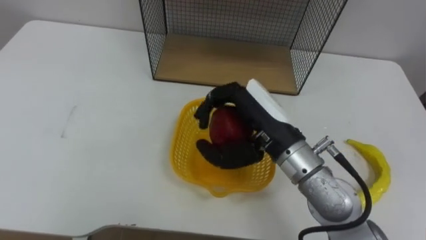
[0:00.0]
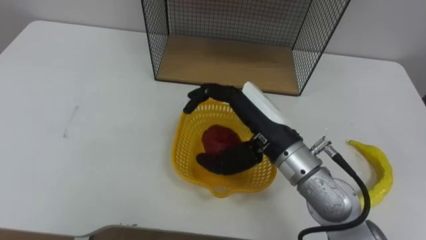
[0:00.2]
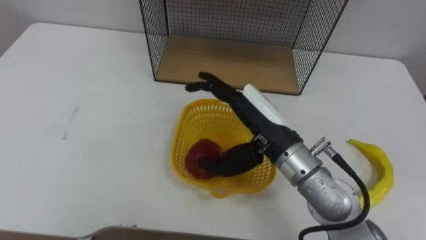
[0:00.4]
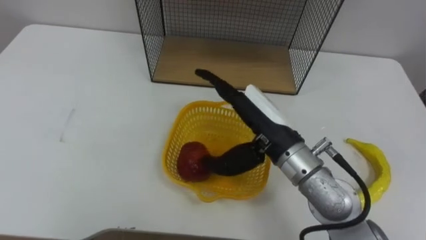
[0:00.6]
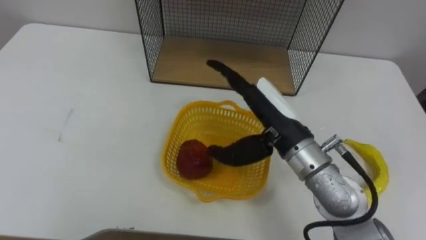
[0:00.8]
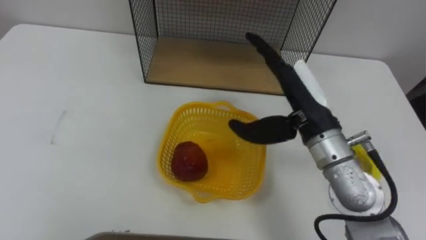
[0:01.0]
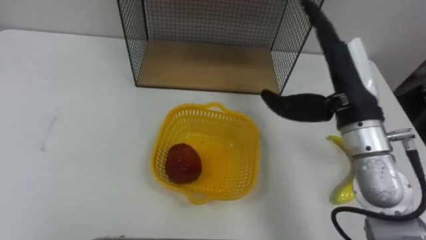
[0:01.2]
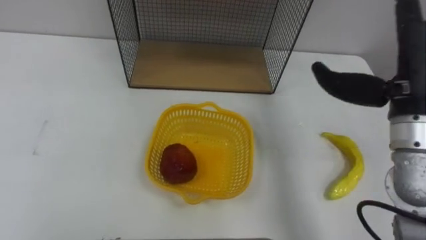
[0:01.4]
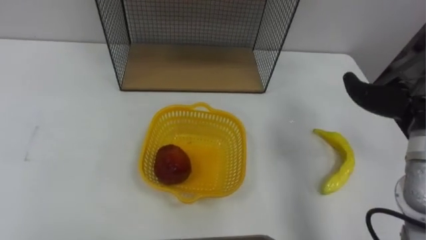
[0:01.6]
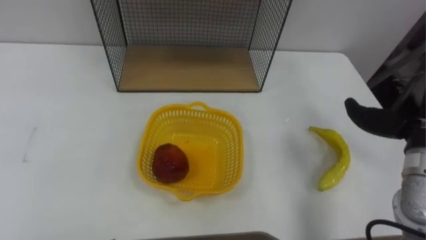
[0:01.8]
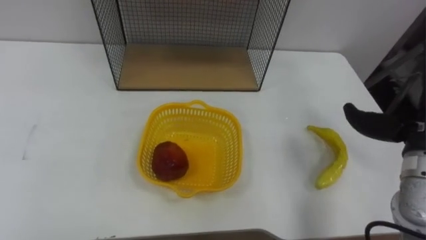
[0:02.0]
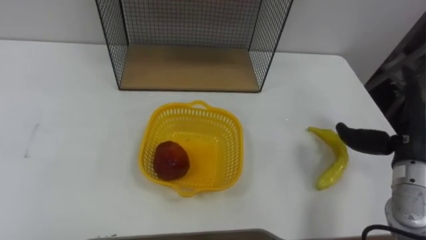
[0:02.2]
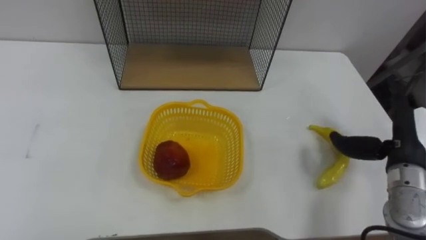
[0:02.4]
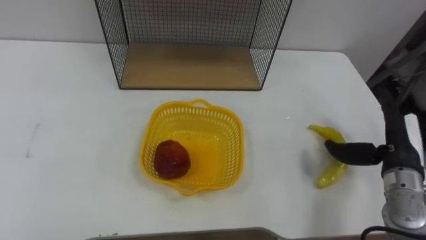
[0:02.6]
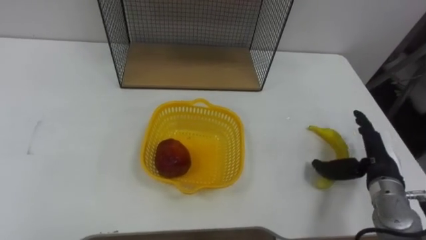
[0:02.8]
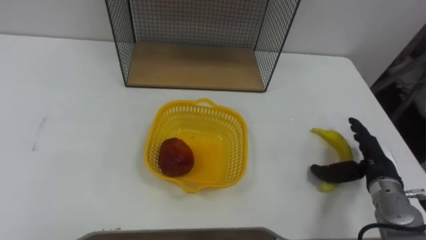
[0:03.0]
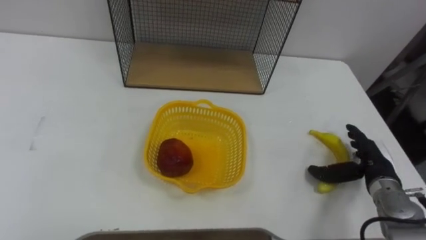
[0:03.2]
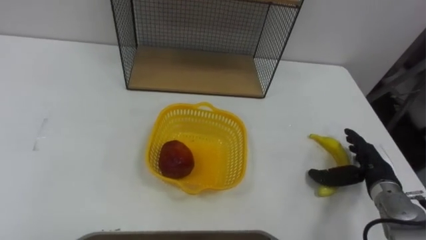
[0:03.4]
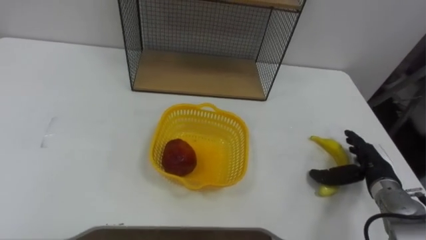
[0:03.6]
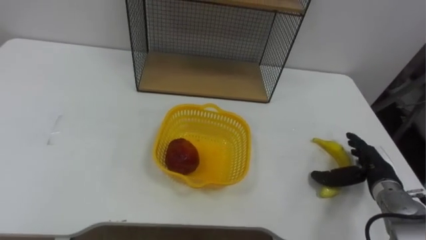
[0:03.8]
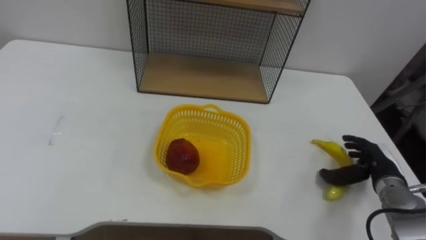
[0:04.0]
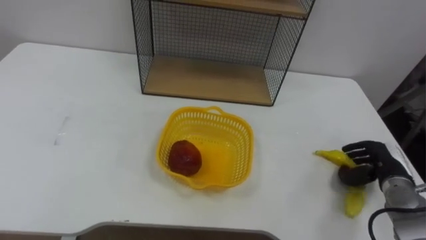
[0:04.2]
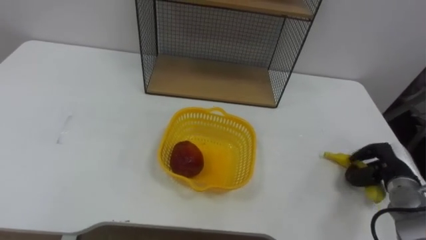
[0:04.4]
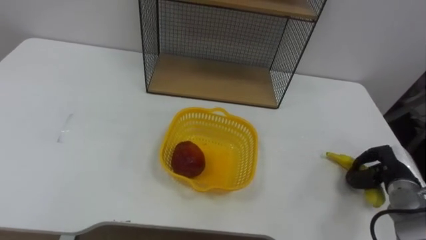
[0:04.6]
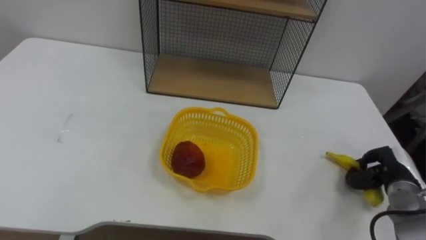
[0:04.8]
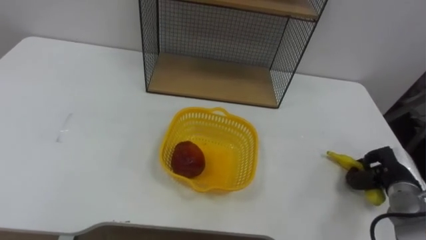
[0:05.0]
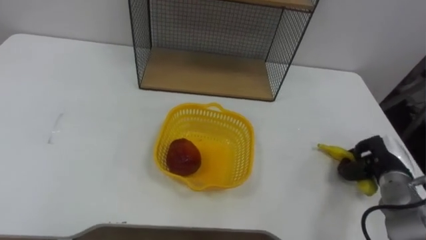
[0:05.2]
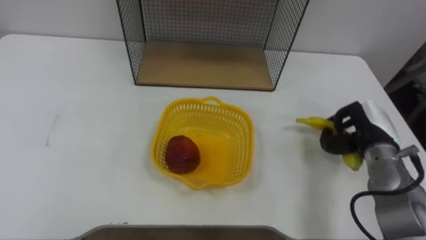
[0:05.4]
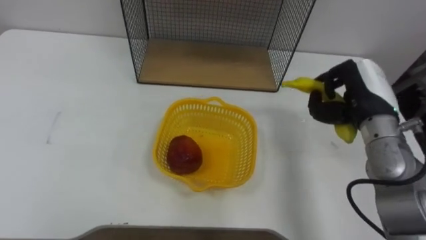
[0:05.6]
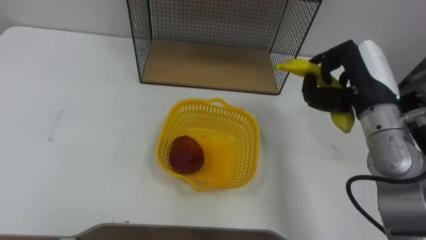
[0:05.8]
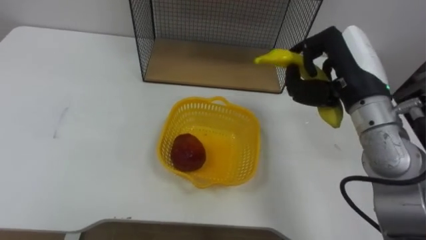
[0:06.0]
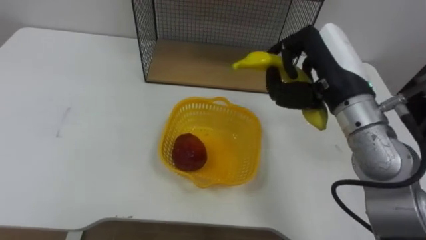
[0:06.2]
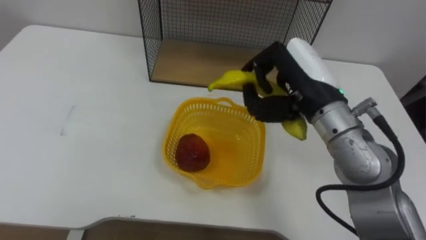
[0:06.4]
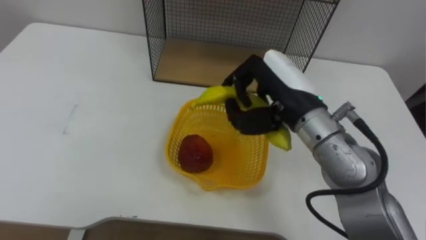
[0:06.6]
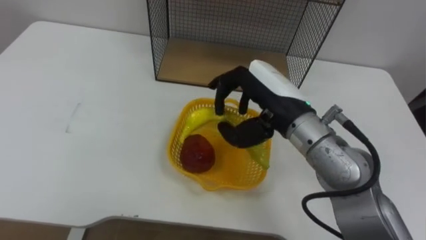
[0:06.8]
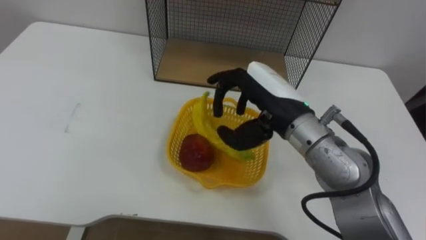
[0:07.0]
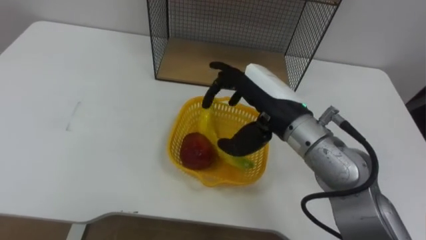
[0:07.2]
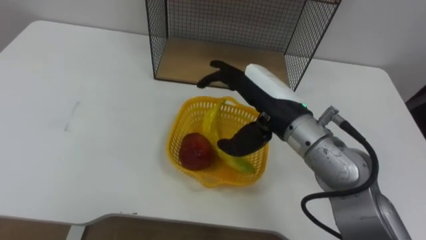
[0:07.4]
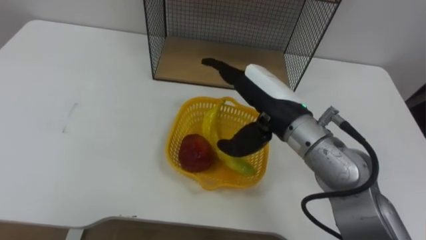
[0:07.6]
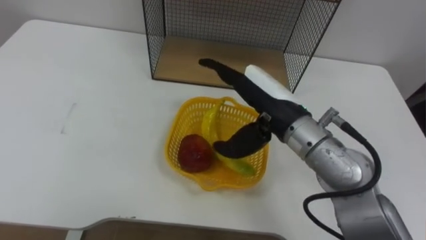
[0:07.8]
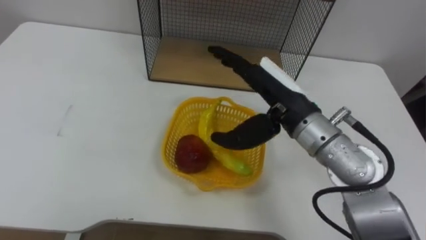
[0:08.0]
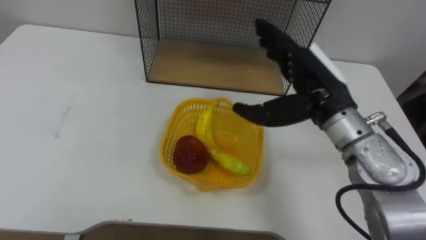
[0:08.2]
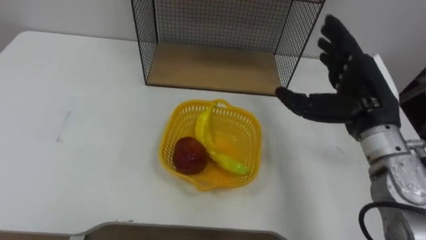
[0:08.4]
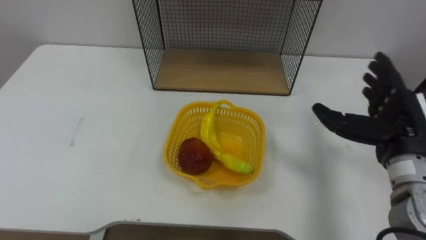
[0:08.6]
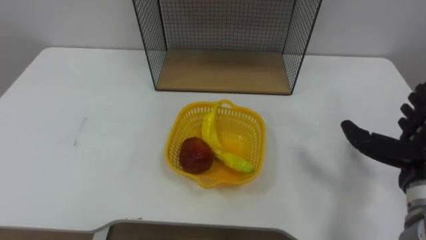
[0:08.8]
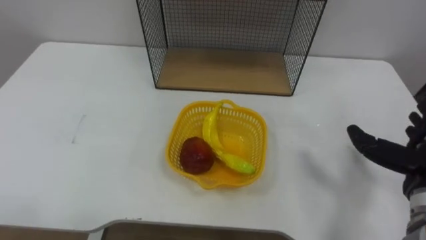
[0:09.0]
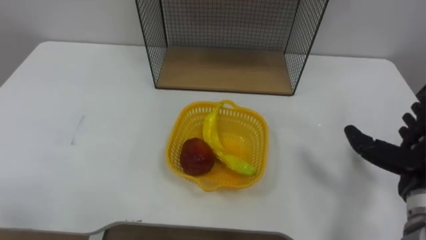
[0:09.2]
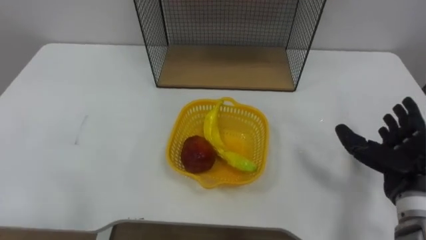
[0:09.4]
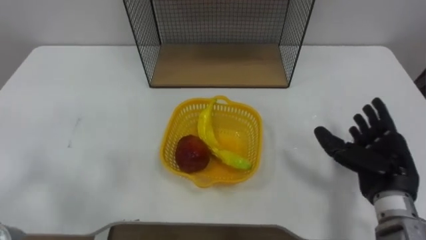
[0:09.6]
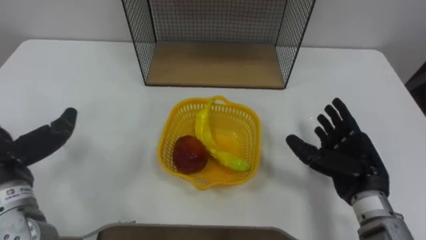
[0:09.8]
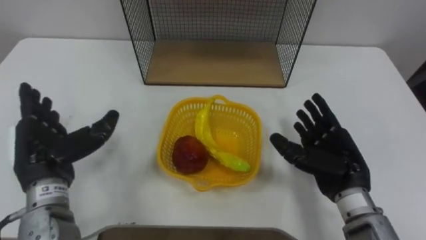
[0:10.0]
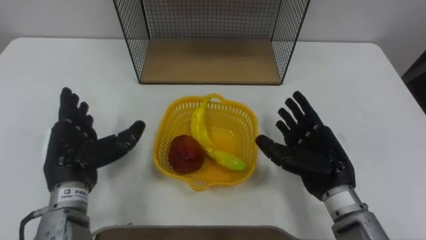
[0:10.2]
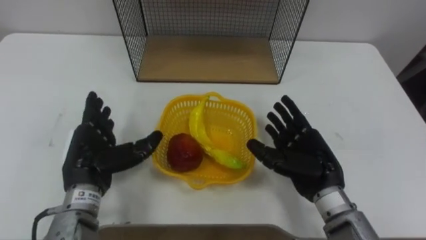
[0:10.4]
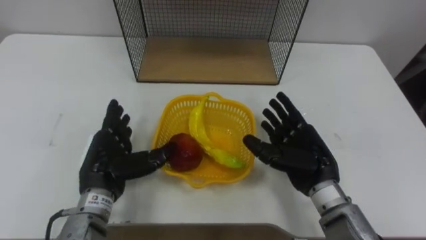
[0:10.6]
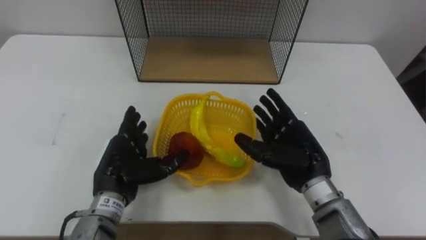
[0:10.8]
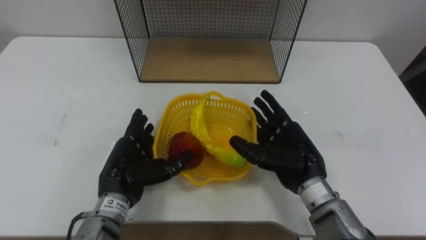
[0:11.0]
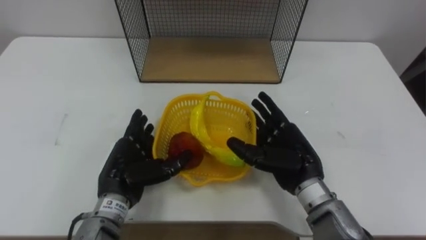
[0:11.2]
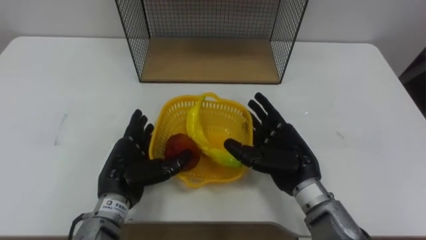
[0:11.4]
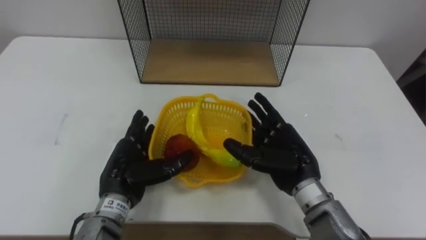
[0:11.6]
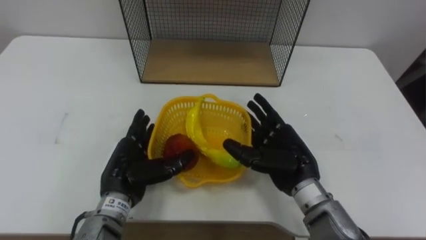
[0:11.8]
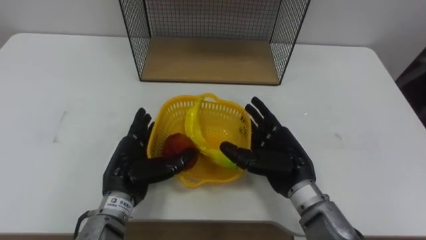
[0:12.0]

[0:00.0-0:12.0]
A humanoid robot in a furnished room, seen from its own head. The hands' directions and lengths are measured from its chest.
Task of the whole recording: Put the fruit on the table into the basket, then place the basket on the shelf.
0:03.0 to 0:04.4: The right hand changes place by some 5 cm, and closes up.
0:04.4 to 0:06.0: The right hand moves upward and to the left, roughly 30 cm.
0:06.0 to 0:07.6: The right hand shifts roughly 10 cm to the left, and opens up.
0:10.4 to 0:12.0: The left hand moves to the right, approximately 5 cm.

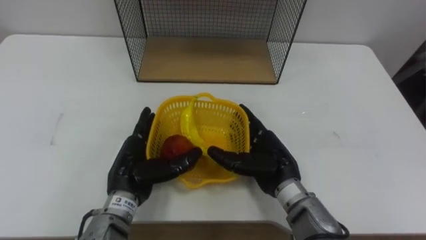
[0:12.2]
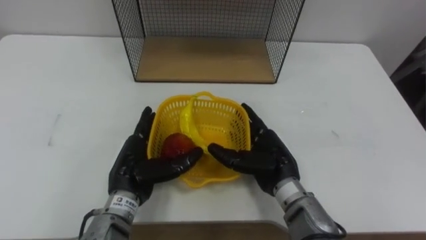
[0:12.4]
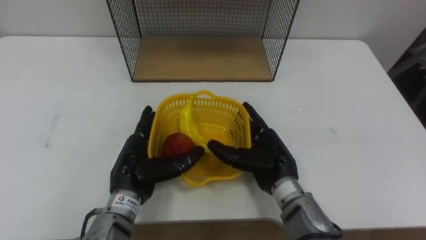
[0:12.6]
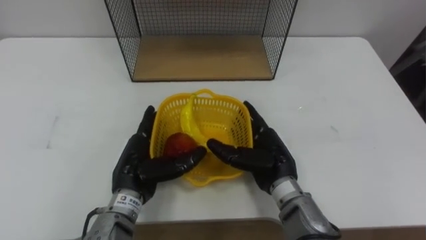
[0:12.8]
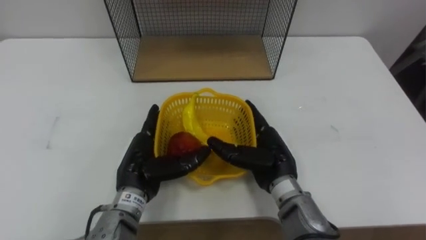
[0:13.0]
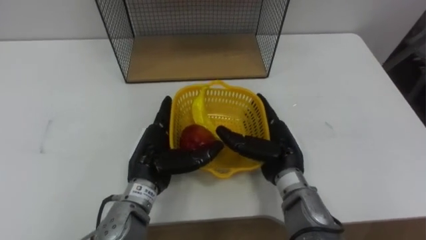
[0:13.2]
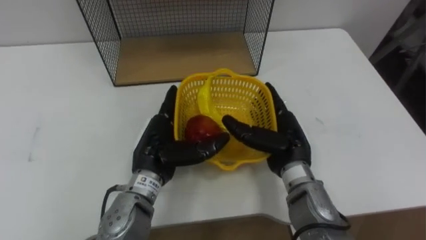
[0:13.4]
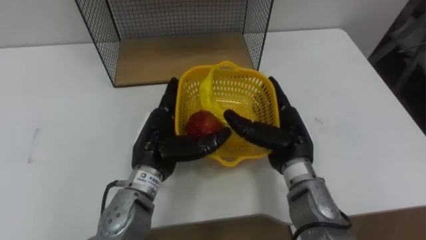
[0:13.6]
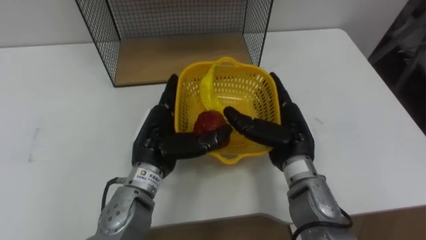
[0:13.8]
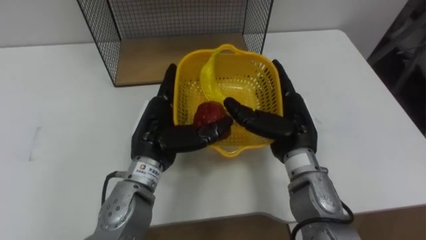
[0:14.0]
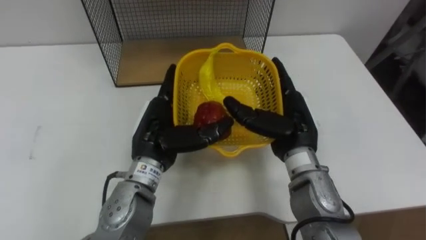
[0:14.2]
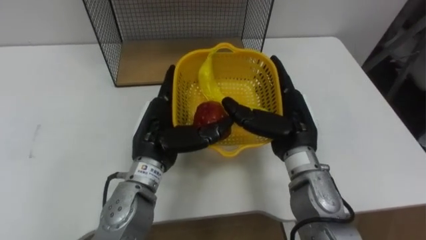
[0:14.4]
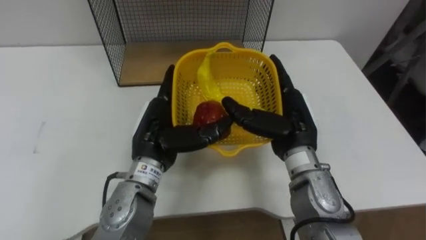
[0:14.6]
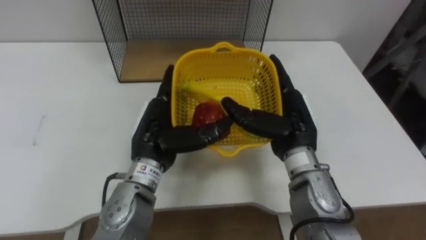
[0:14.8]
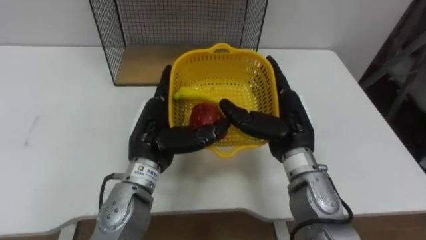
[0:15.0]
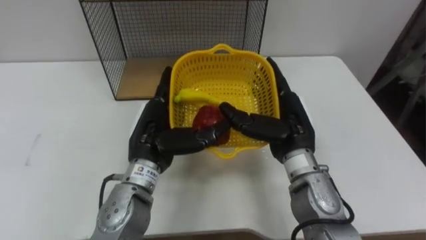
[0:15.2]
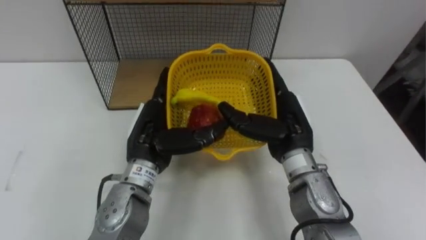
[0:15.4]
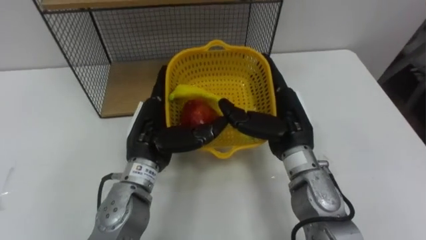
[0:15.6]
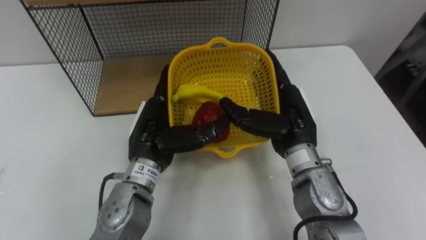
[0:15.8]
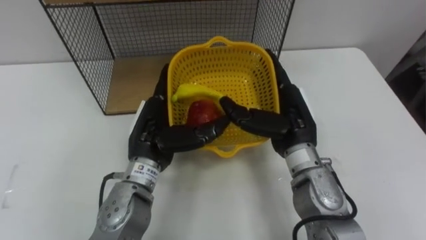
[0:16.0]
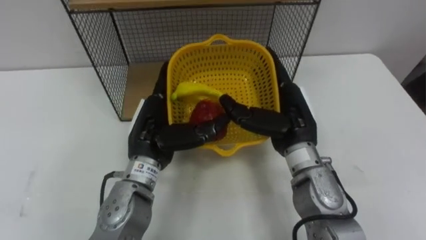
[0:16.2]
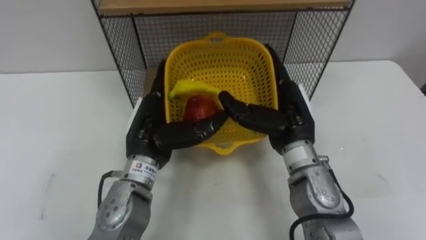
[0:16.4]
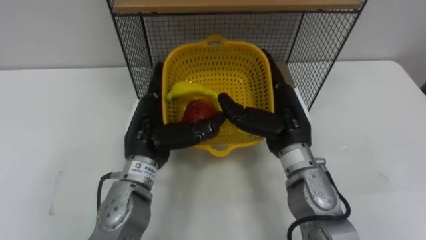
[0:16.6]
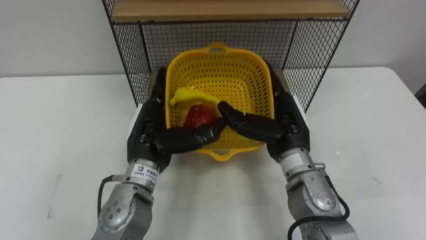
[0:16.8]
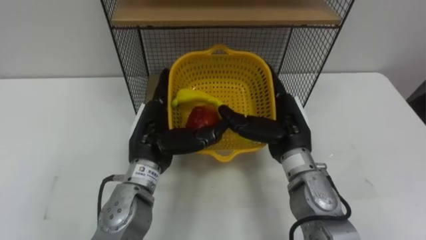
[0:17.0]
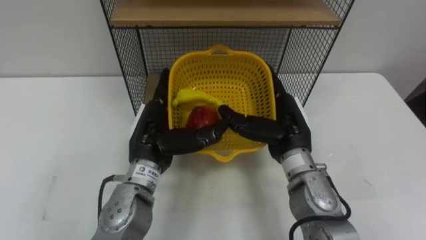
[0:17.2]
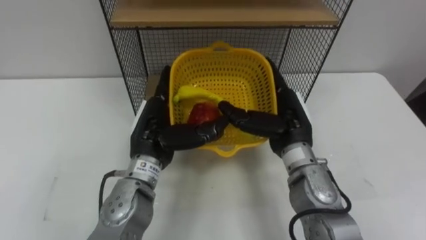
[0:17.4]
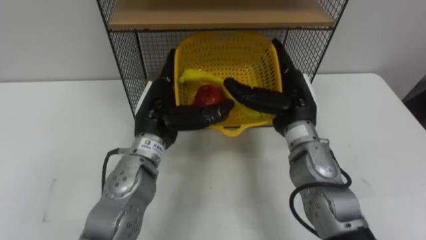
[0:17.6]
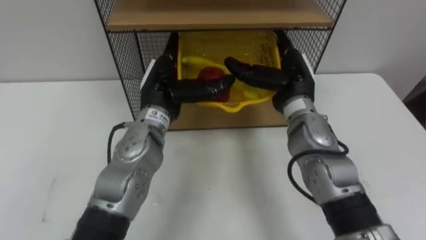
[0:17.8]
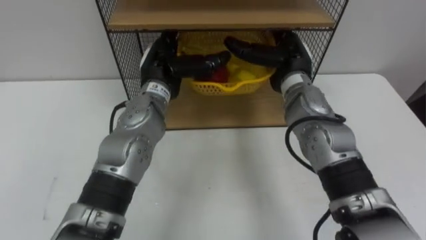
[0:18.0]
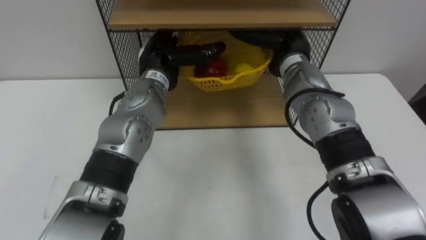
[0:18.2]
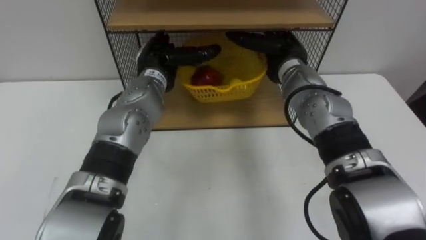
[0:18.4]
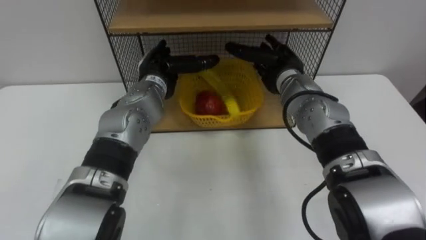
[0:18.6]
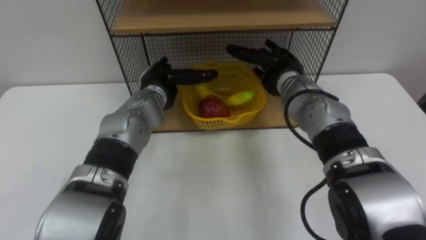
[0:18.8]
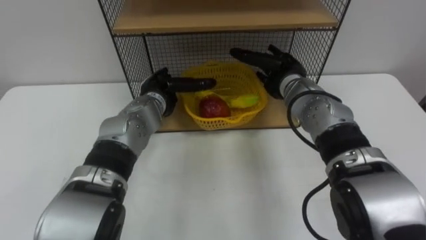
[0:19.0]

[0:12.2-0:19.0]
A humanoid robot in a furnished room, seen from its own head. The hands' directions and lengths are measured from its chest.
Task of the whole recording: Put the fruit on the table into the basket, then place the basket on the shelf.
0:12.2 to 0:13.6: The left hand moves about 5 cm.
0:17.6 to 0:19.0: The right hand shifts roughly 10 cm forward. Meanwhile the left hand goes roughly 10 cm forward and downward.
